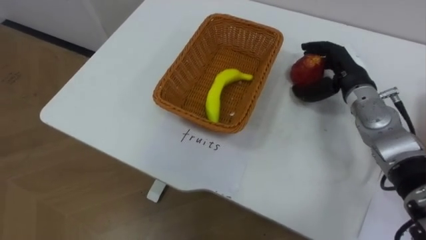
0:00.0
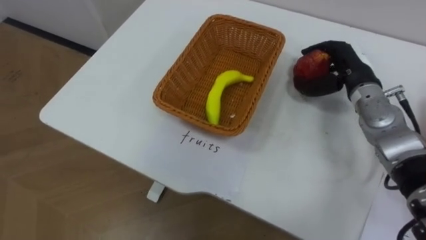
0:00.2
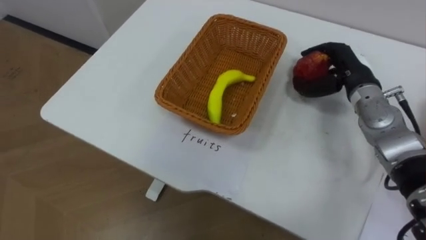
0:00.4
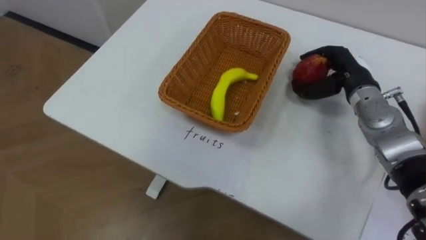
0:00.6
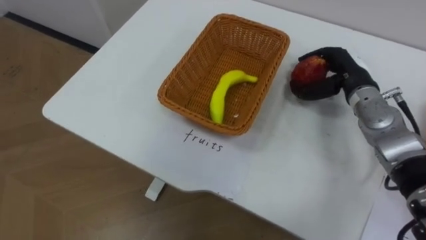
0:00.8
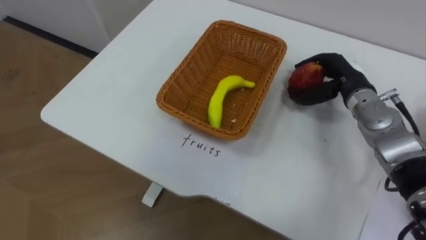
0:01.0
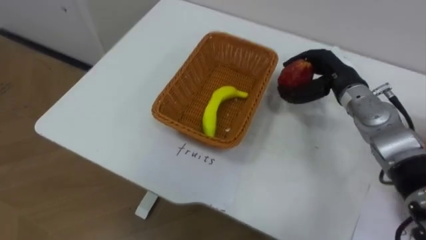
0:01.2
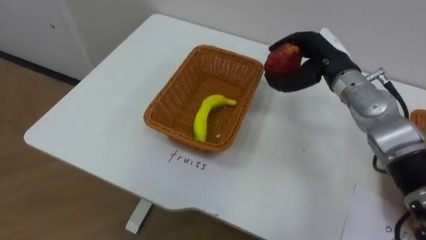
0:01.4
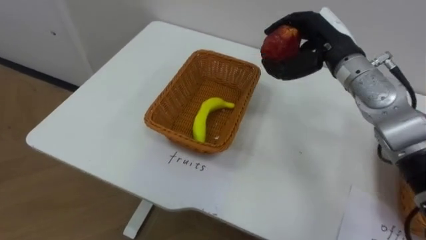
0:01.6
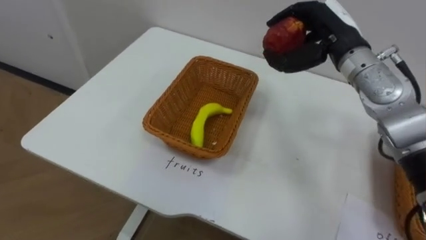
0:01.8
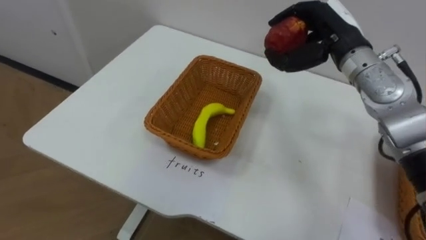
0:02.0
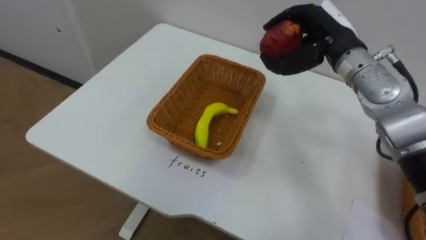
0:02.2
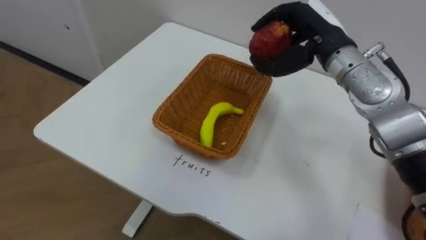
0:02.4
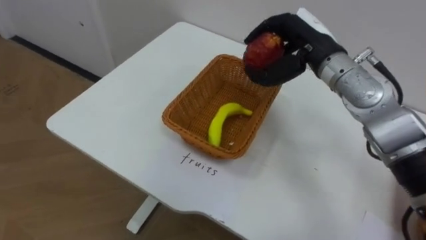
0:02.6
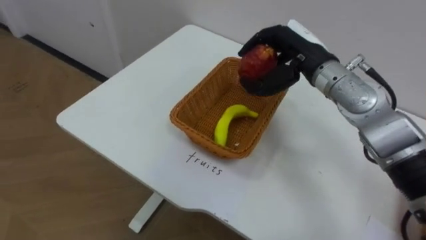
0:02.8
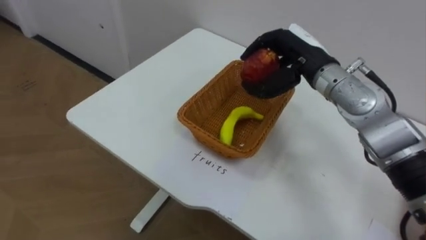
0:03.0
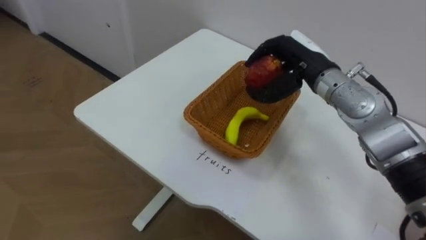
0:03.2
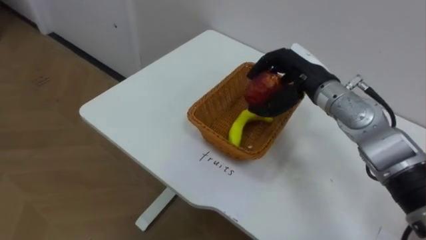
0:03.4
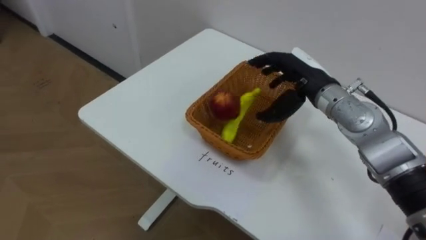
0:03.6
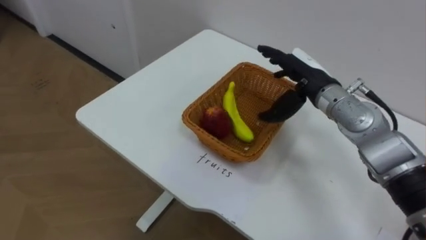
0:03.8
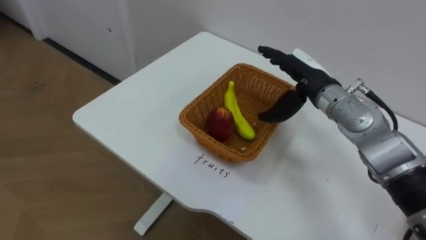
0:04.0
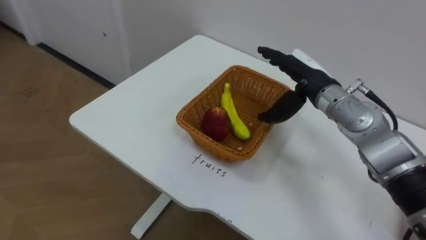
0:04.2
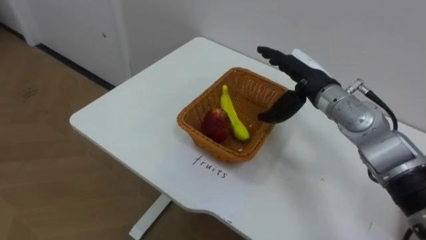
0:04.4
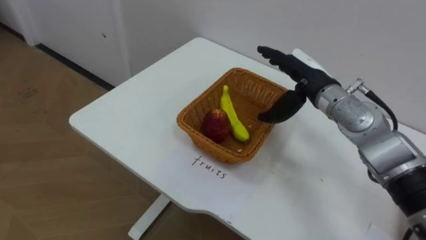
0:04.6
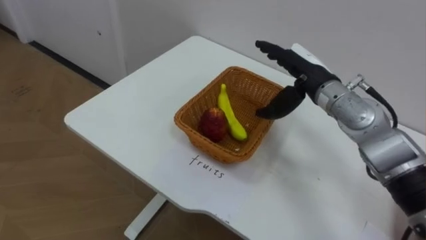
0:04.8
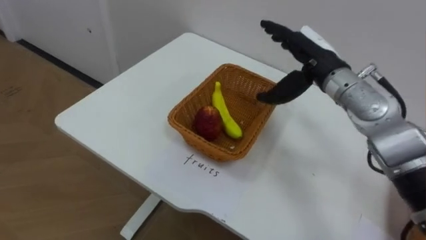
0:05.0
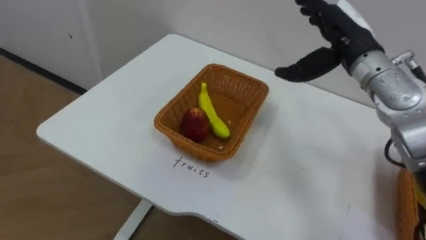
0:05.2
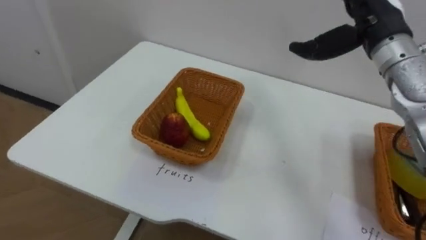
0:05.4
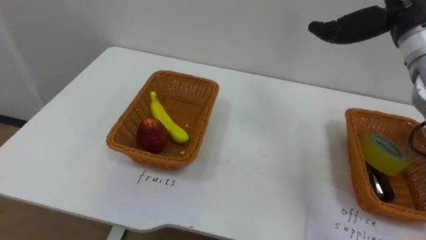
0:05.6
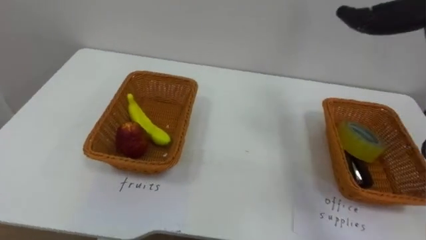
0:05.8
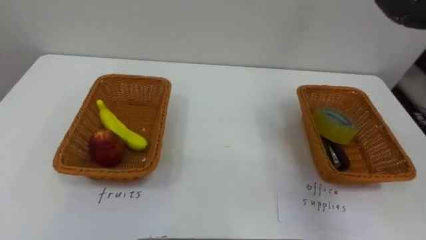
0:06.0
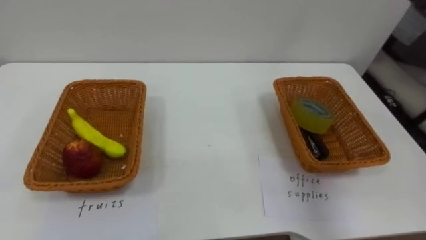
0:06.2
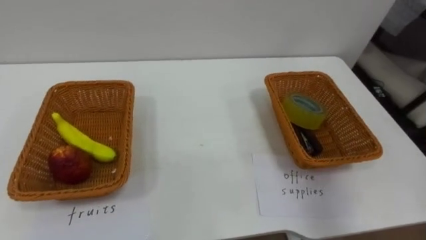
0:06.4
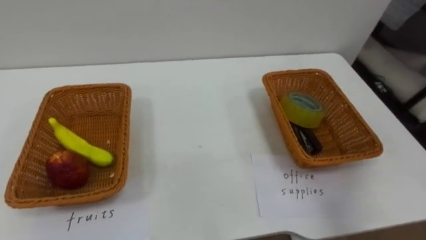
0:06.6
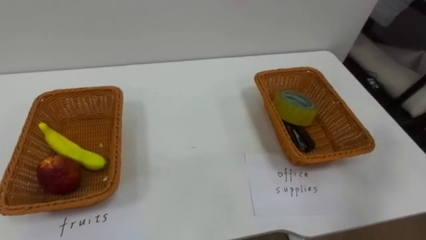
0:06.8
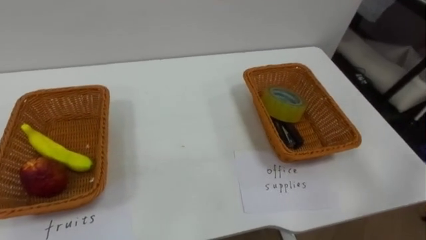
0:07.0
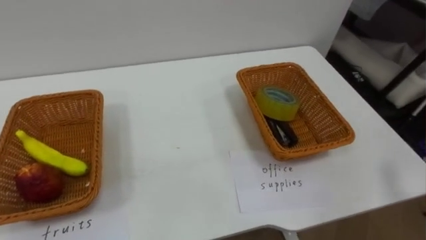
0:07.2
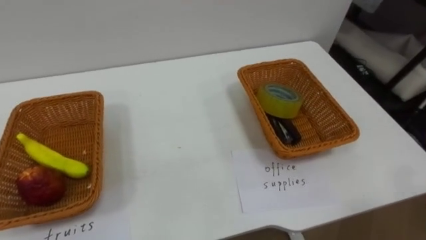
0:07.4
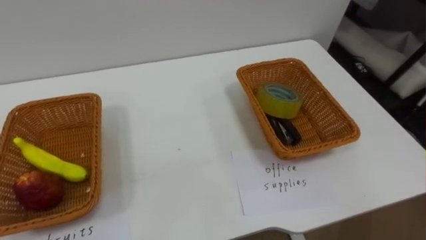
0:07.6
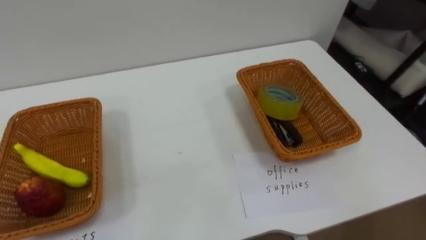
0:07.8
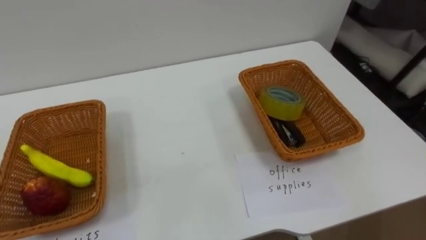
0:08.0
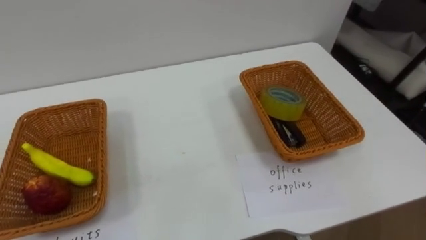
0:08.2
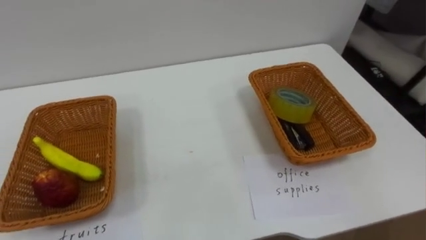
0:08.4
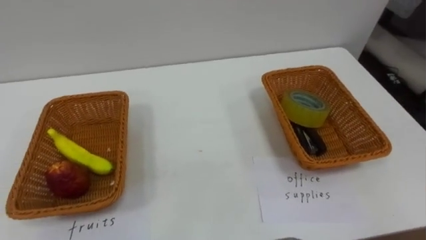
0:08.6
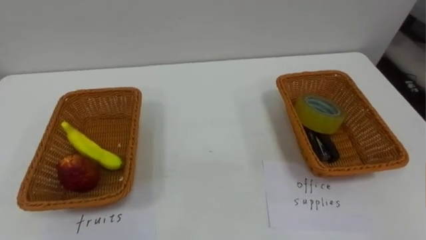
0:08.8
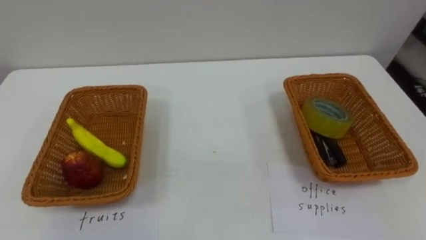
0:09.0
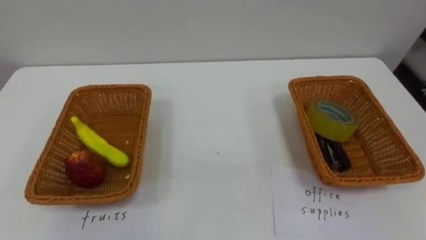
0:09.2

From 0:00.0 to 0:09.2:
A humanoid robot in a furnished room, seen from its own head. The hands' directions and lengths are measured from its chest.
Task of the whole recording: Separate the items on the table and place them into the two baskets.
From 0:00.0 to 0:01.6: The right hand is displaced upward and to the left by roughly 10 cm, and closes its fingers.
From 0:03.0 to 0:04.6: The right hand opens up.

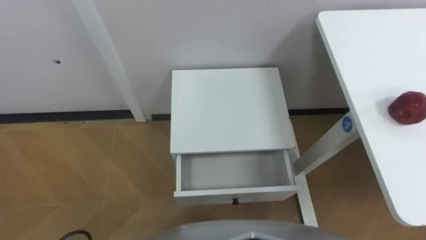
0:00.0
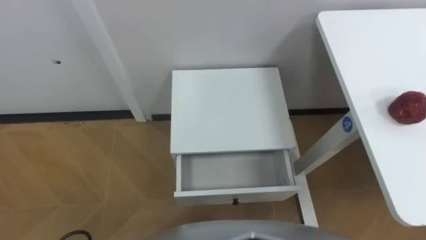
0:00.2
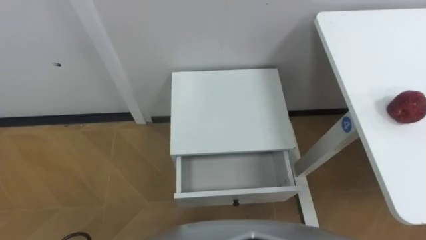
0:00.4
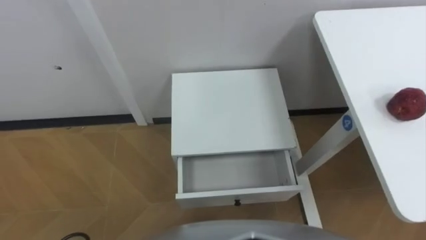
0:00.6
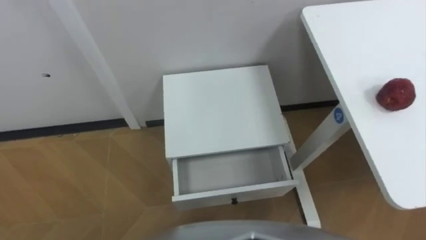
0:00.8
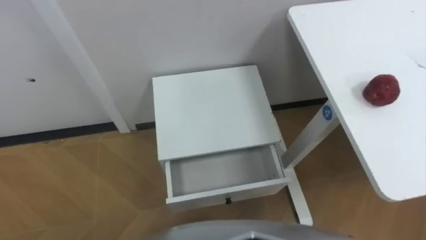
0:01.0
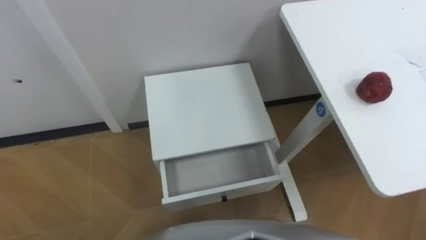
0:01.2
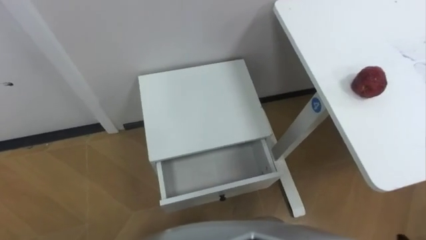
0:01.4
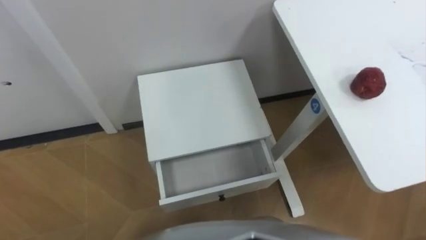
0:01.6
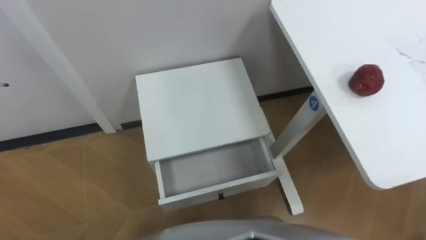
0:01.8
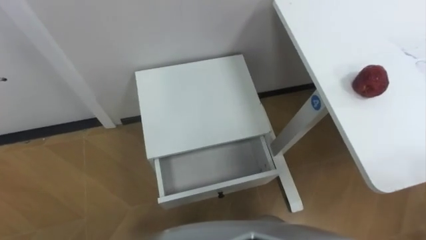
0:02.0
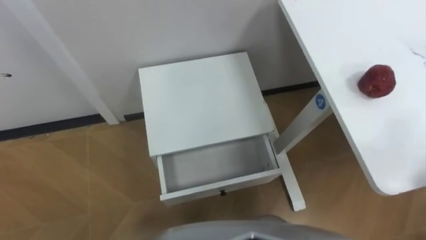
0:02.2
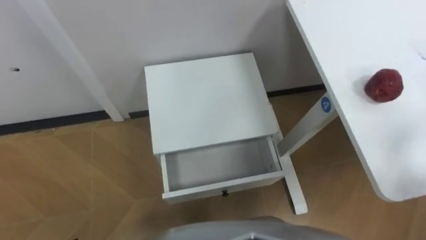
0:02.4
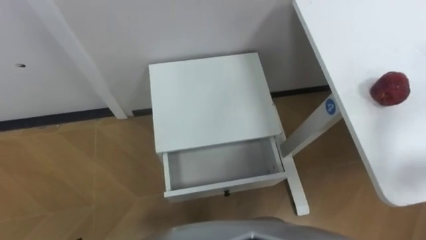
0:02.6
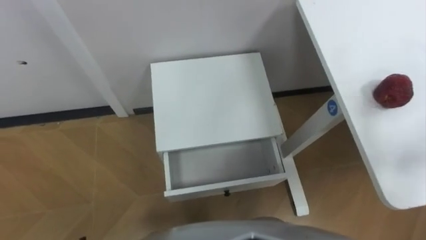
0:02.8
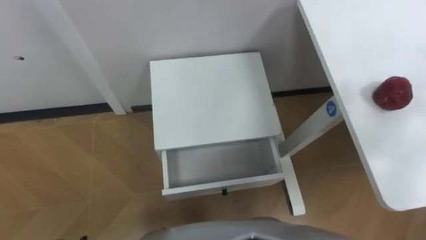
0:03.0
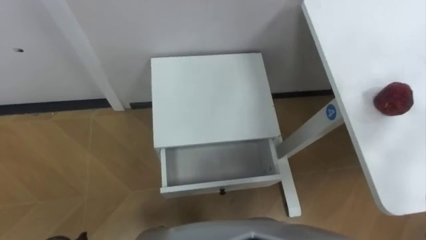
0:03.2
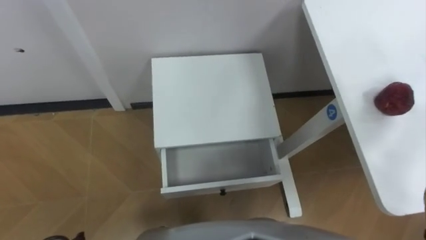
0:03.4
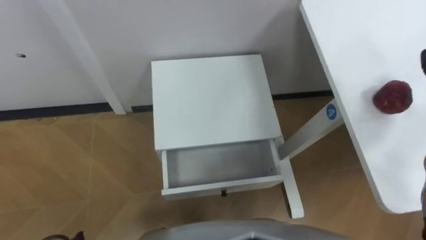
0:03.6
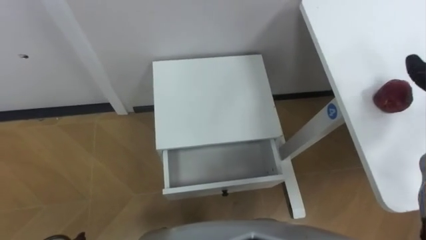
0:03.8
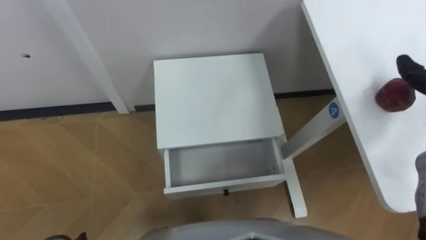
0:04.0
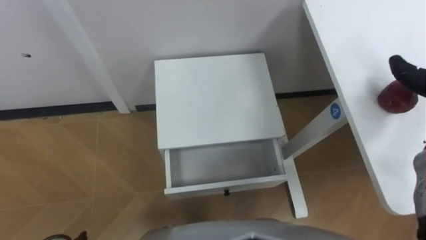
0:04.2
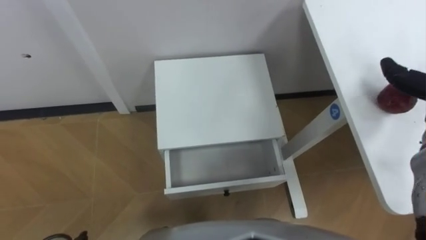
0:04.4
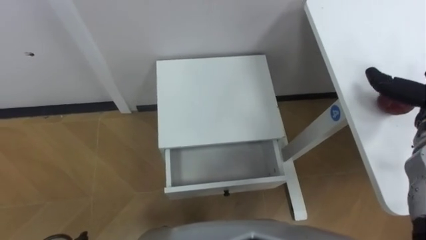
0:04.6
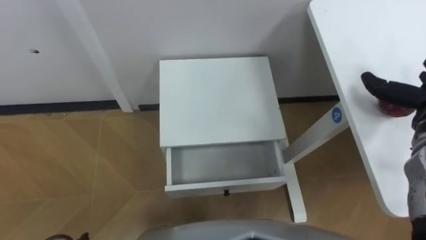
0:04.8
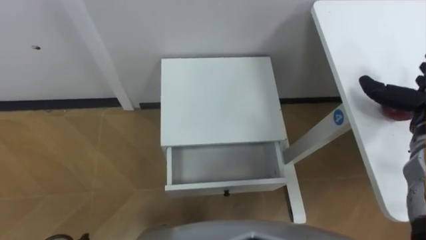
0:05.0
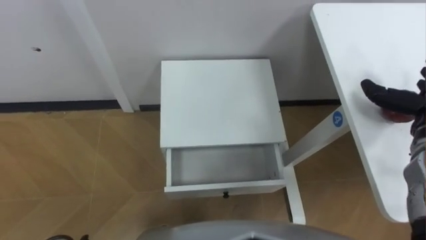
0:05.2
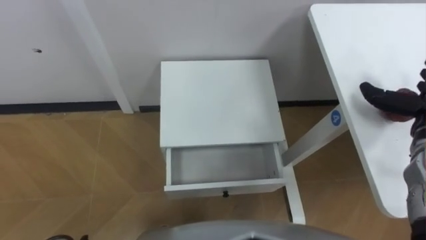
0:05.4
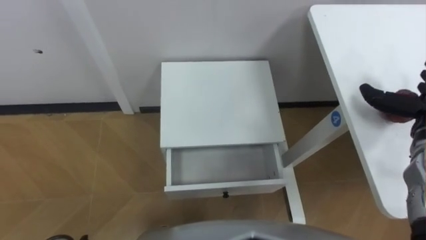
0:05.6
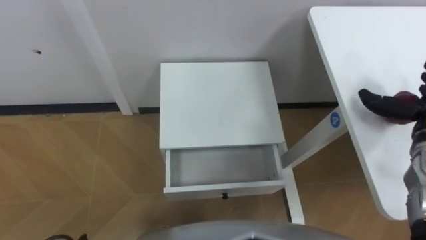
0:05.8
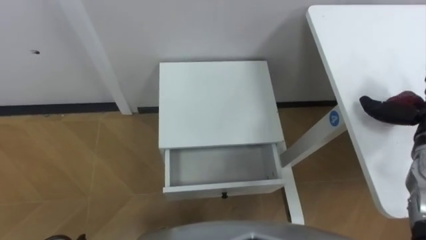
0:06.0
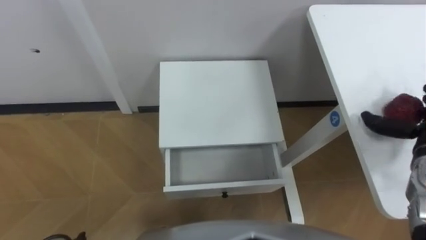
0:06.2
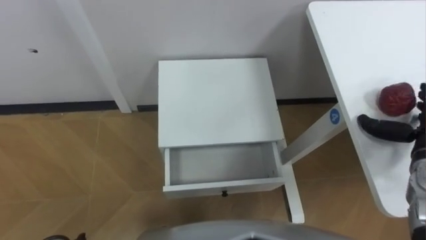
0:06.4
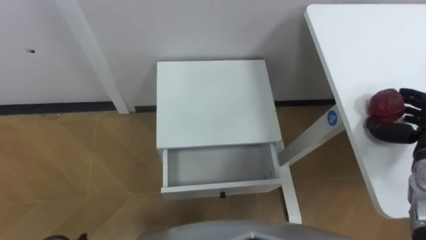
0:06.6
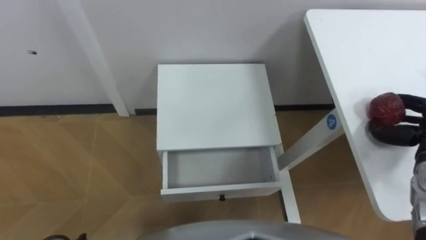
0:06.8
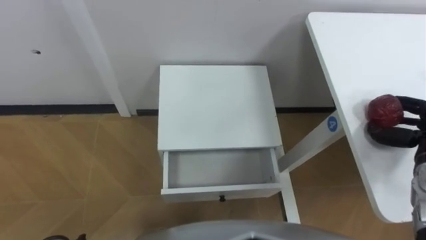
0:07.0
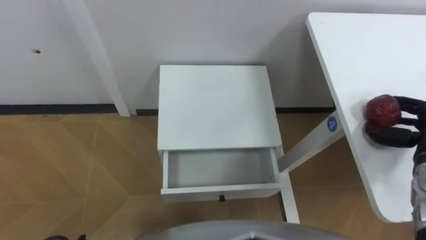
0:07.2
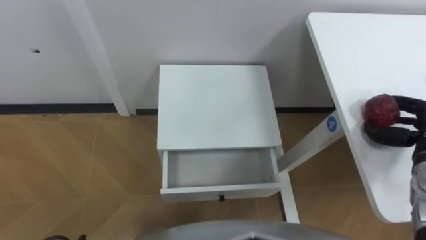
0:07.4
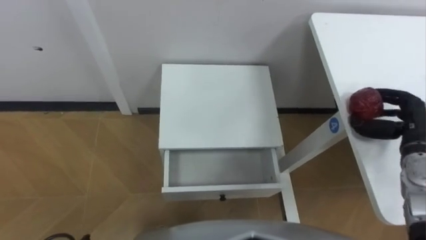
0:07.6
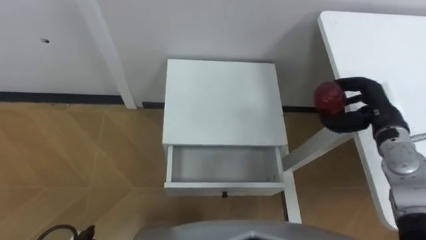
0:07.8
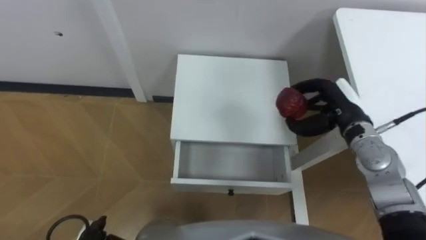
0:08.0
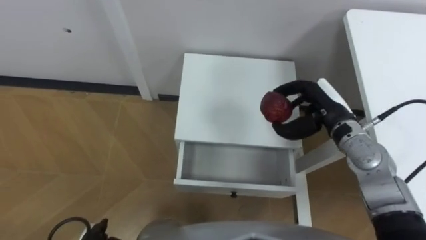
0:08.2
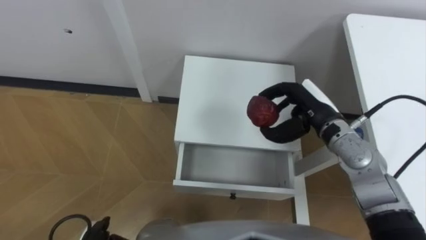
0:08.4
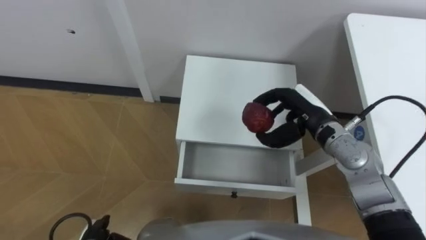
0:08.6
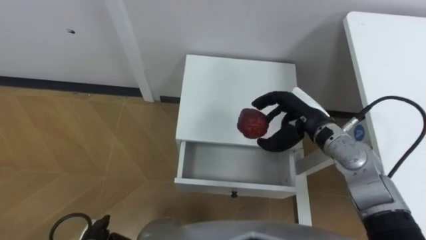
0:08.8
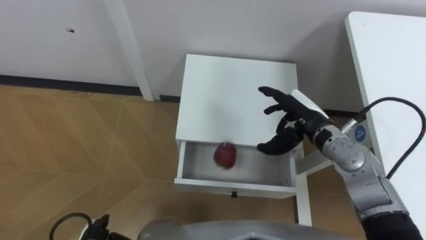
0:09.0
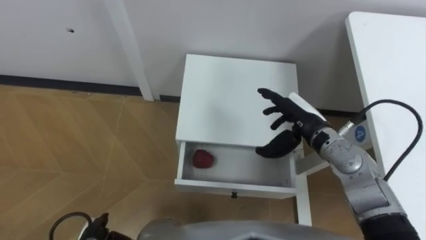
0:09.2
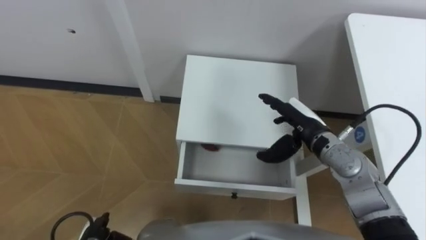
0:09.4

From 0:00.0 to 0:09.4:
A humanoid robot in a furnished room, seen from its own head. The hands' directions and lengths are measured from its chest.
Task of the whole recording: Pick up the apple from the table, put it in the drawer, and close the drawer with leg.
From 0:07.8 to 0:09.4: The right hand shifts some 15 cm to the left, and opens.
